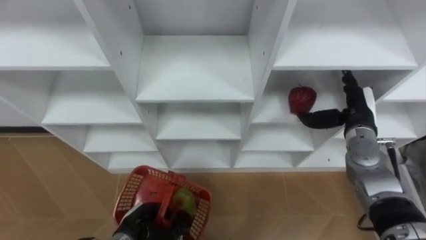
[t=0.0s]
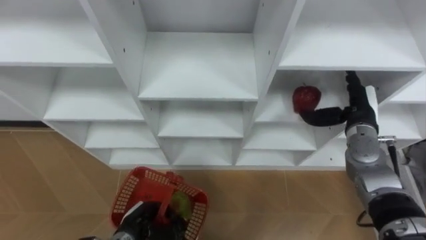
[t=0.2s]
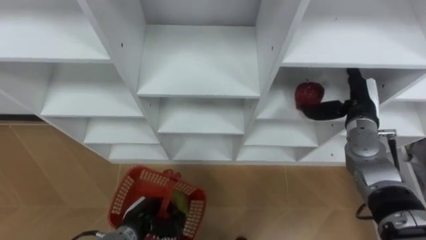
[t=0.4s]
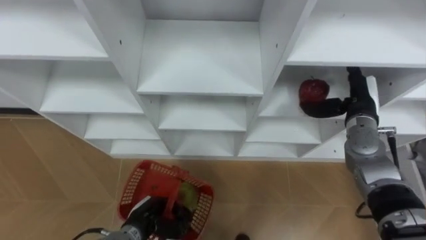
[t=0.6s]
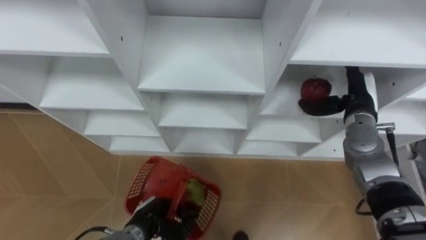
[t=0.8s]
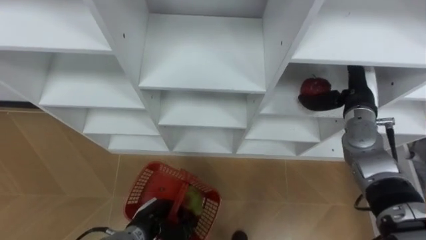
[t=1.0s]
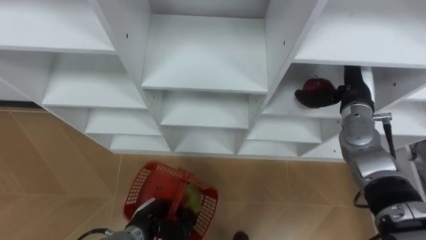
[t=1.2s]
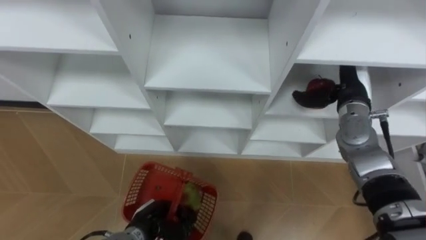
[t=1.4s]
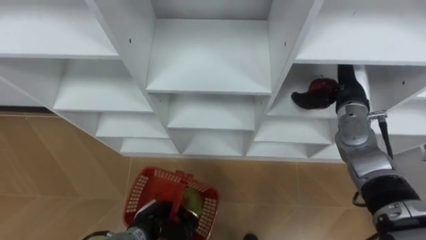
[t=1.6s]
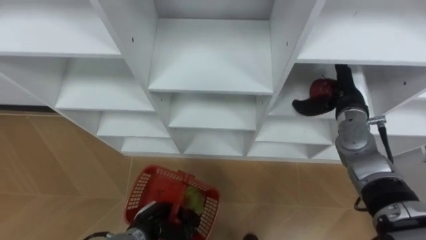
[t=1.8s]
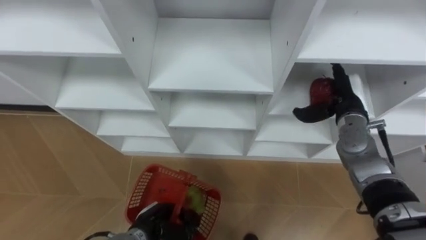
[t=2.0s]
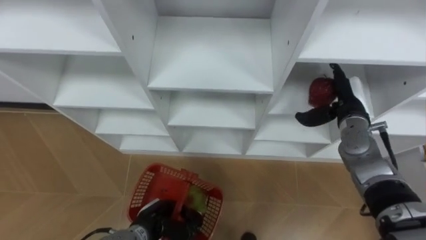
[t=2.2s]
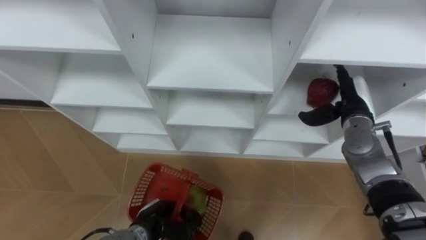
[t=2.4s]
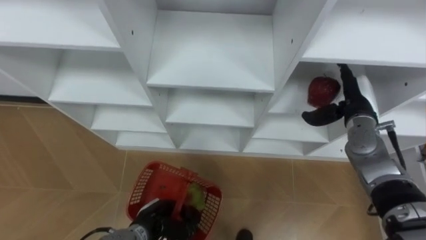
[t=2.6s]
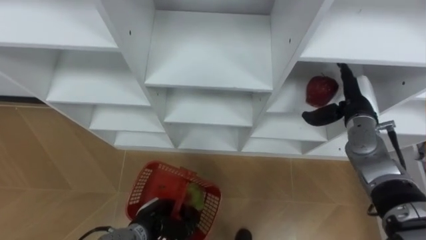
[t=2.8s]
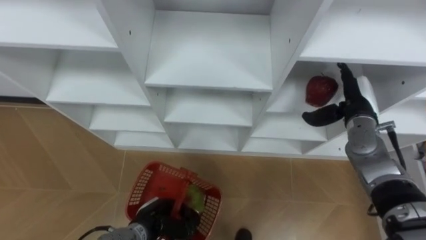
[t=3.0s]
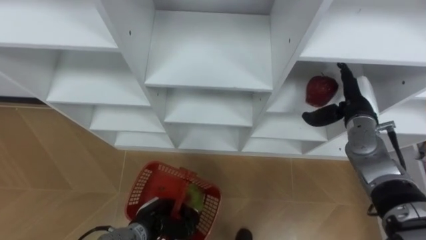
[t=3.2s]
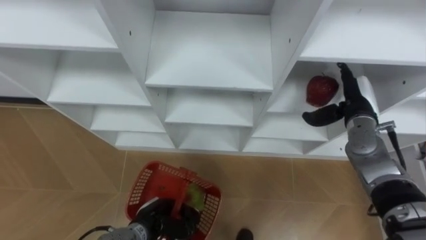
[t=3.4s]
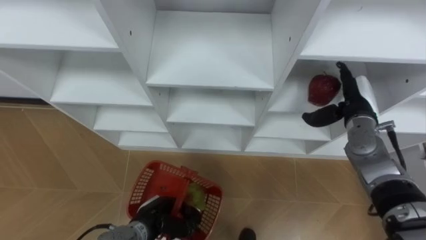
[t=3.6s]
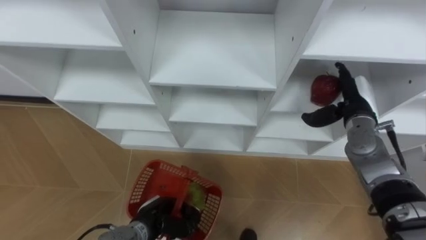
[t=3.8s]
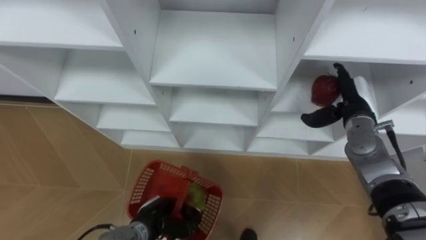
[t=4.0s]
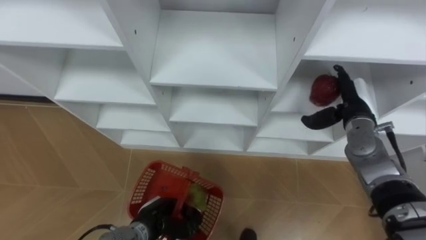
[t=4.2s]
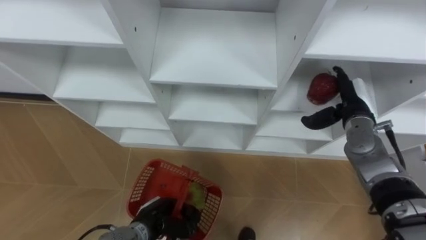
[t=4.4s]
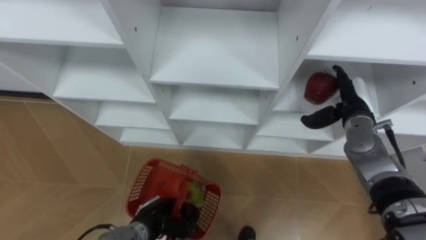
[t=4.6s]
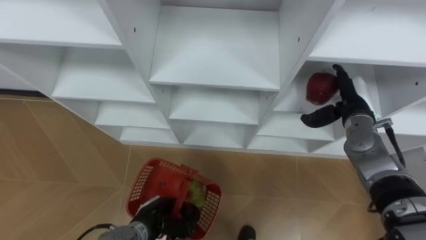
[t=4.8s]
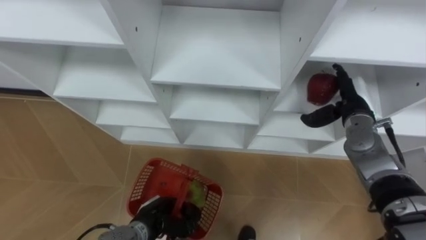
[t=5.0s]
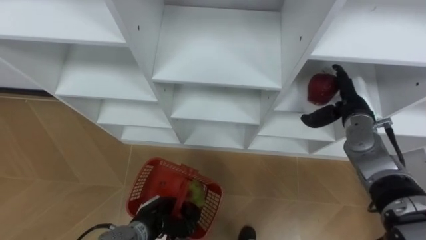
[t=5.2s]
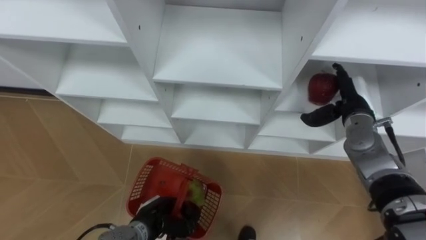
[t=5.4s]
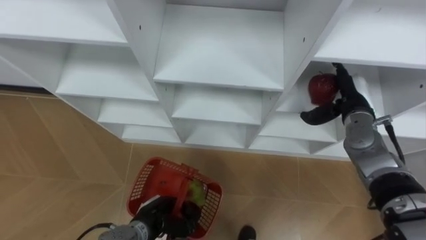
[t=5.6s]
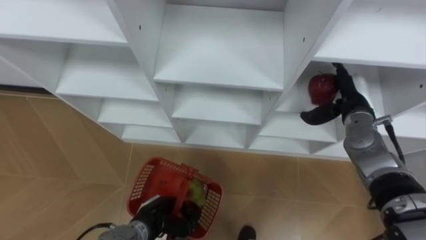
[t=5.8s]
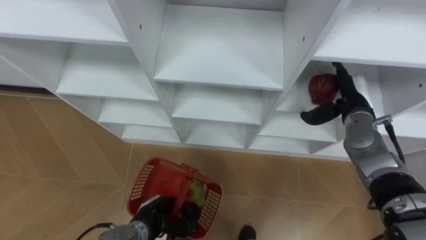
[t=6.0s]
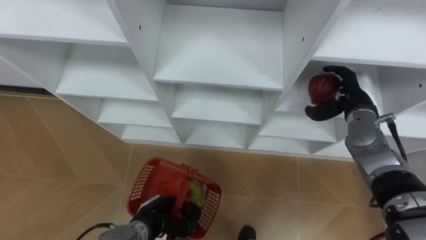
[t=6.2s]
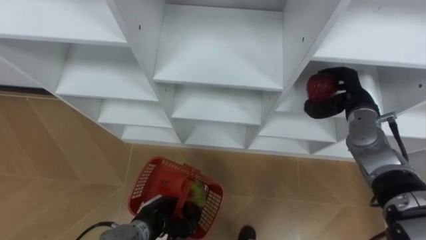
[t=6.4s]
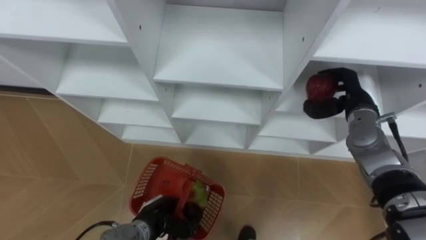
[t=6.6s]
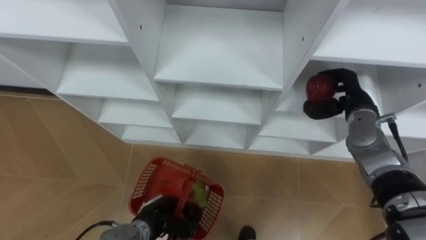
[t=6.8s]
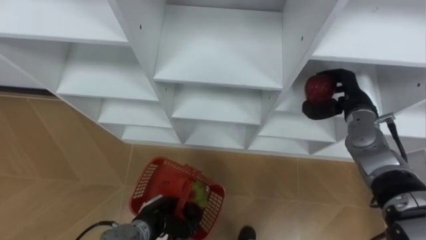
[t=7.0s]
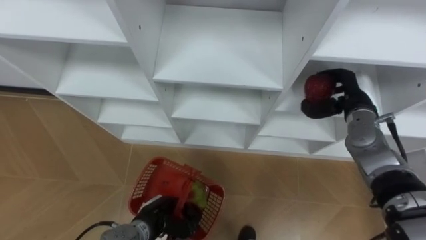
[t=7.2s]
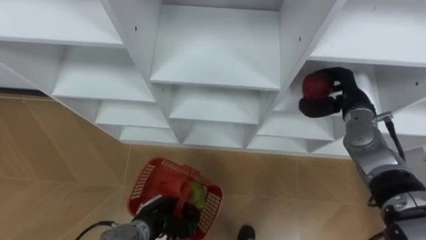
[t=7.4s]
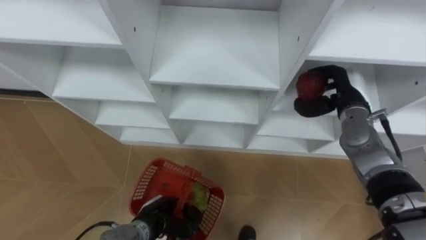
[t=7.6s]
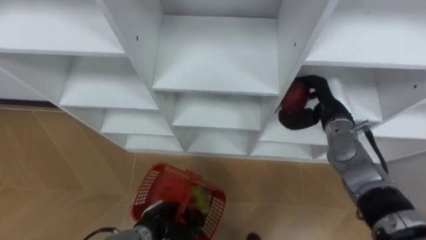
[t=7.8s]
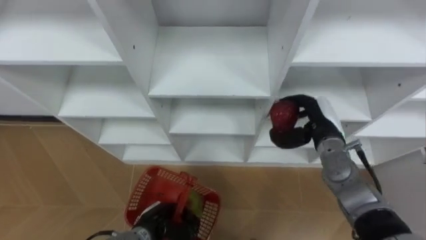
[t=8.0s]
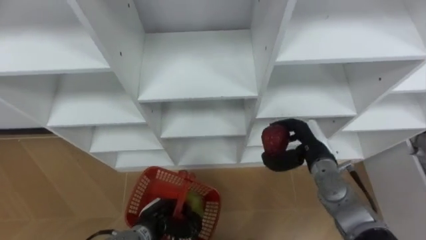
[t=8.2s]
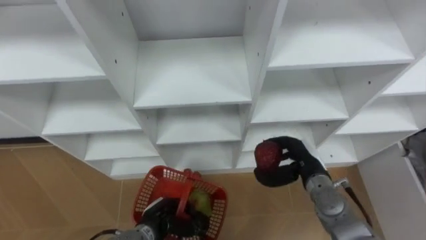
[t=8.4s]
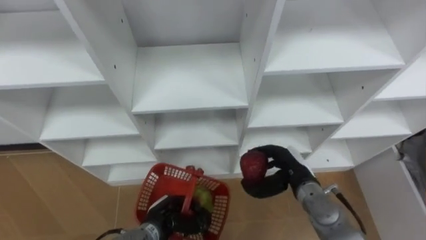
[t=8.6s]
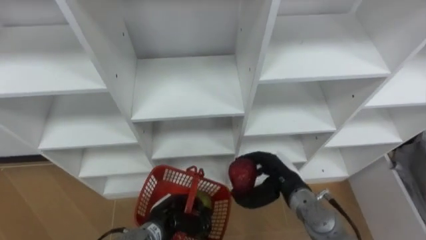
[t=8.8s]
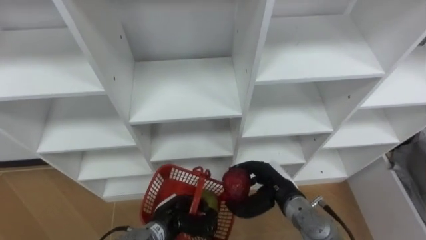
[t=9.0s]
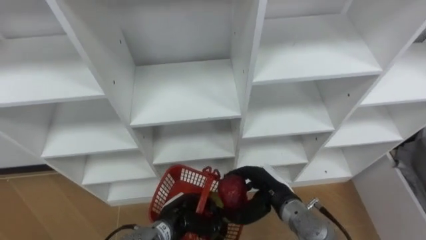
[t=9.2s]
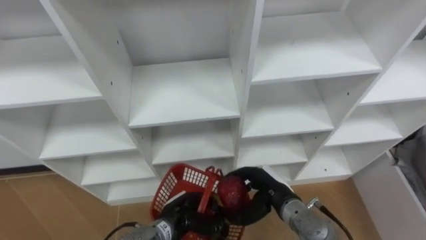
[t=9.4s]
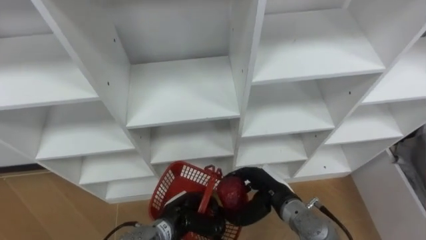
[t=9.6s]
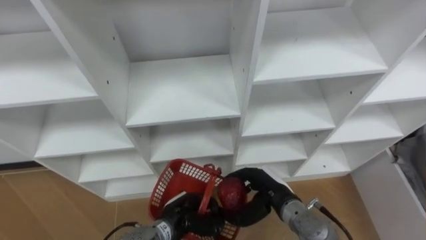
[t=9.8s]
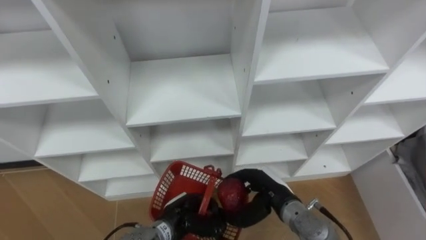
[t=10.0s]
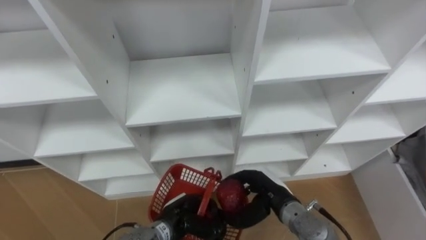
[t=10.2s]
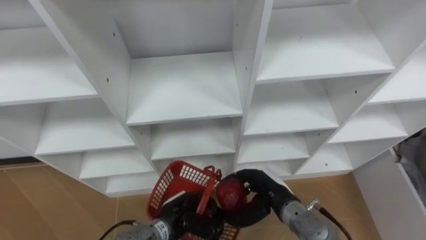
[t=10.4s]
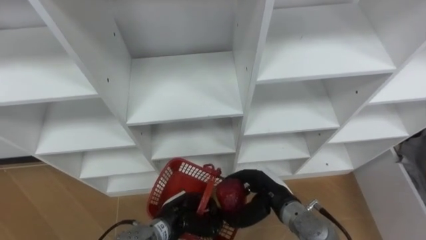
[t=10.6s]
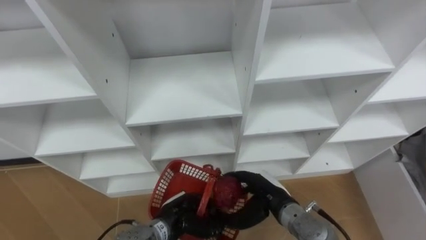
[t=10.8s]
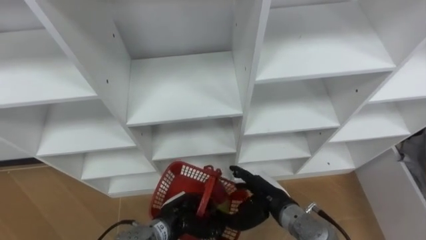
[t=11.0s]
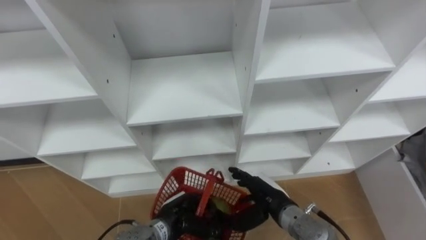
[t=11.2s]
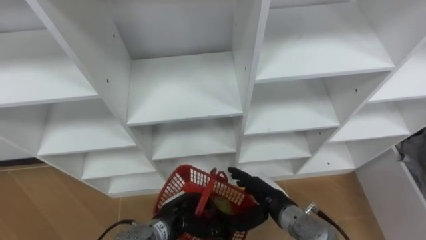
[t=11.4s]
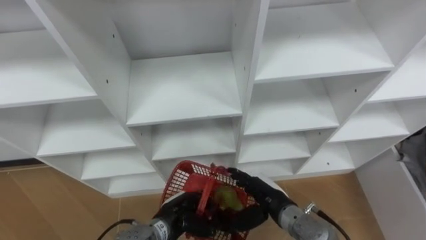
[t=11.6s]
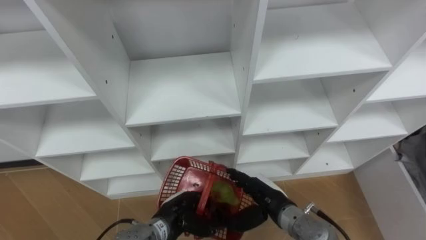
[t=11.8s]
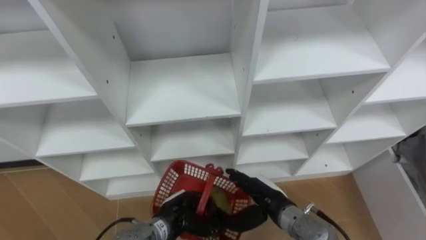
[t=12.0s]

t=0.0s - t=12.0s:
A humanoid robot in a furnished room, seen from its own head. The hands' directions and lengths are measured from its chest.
Task of the whole recording: Hold the basket and collect the fruits from 3 different cells of the closet into it.
t=0.0s - t=1.6s: The right hand ends up roughly 5 cm from where it was.
t=3.0s - t=6.0s: Both hands stay put.
t=6.0s - t=7.6s: The right hand closes.
t=7.6s - t=9.0s: The right hand shifts approximately 25 cm backward, to the left and downward.
t=10.4s - t=12.0s: The right hand opens its fingers.

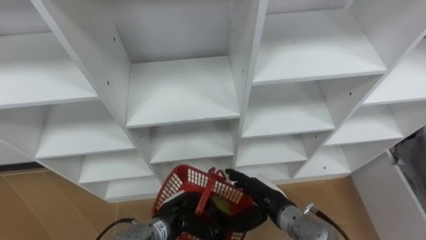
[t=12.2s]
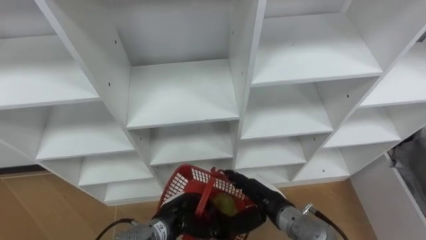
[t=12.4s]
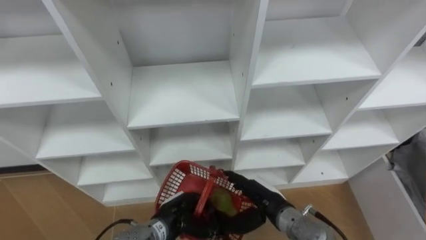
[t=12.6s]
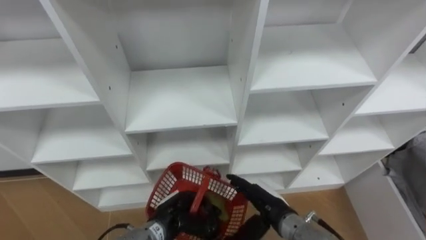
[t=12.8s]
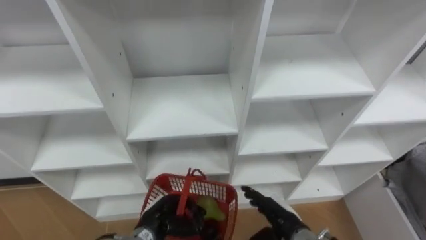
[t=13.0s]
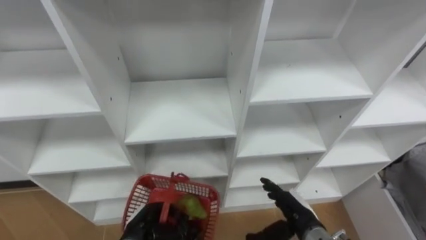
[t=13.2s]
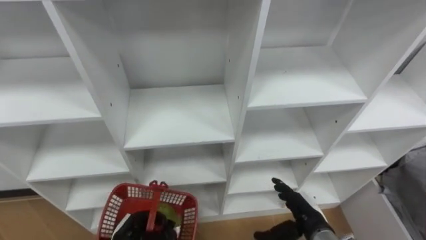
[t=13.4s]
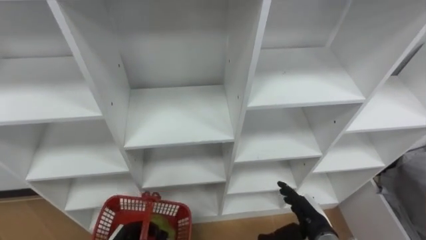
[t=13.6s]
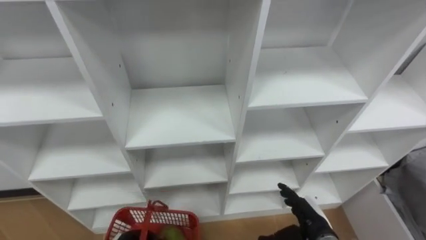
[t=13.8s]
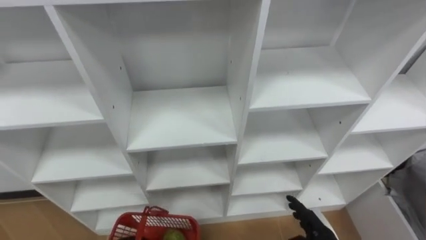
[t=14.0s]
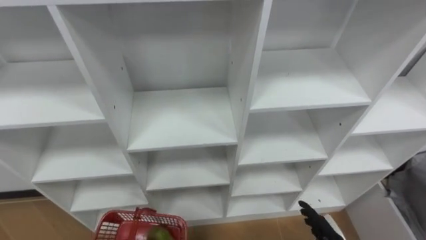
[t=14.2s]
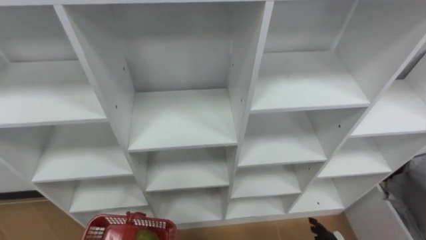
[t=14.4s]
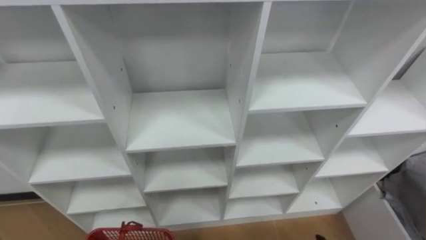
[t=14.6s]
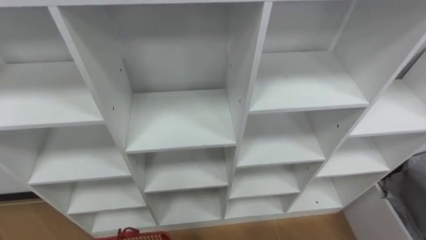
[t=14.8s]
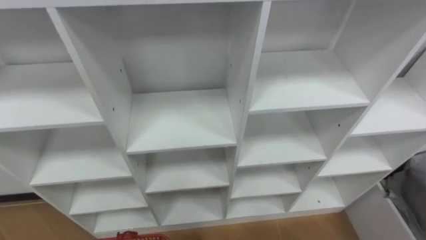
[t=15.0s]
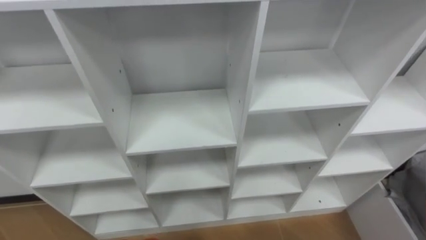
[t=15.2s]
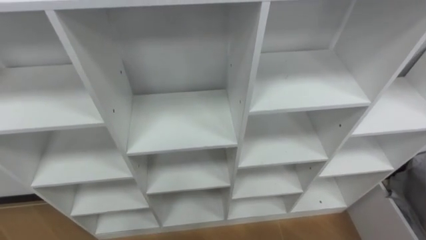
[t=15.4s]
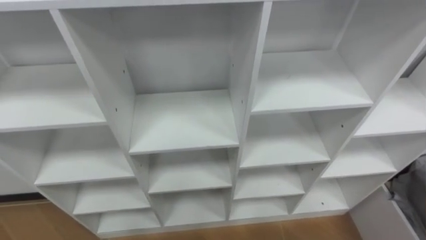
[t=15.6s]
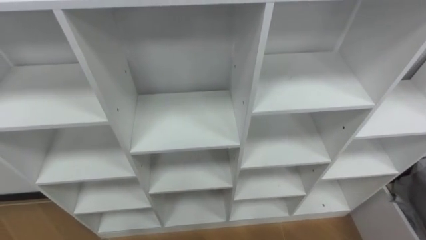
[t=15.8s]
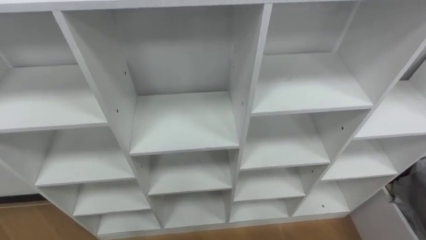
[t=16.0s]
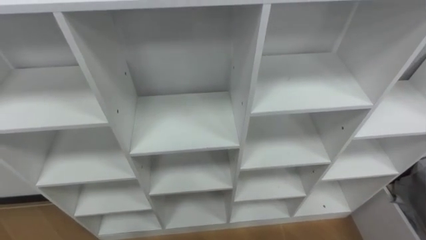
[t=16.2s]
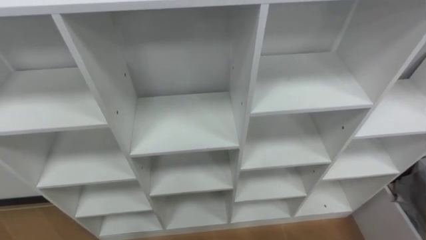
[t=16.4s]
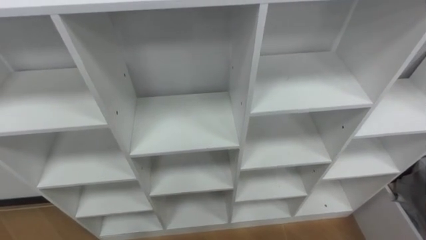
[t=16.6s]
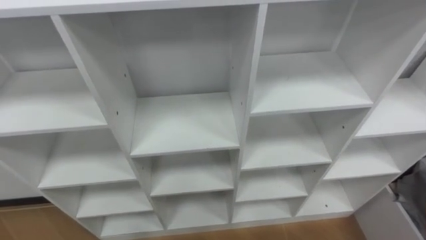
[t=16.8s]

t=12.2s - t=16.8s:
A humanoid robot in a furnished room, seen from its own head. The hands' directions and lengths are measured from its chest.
Task of the whole recording: Hold the basket and collect the fruits from 3 different cells of the closet into it.
t=12.2s - t=13.8s: The right hand is displaced to the right by approximately 10 cm.
